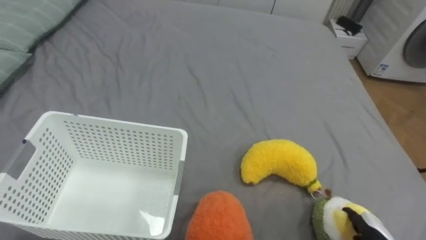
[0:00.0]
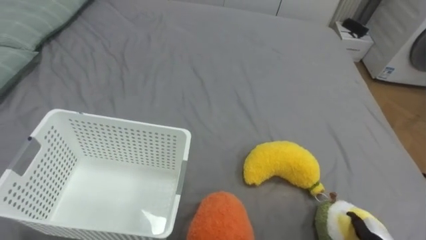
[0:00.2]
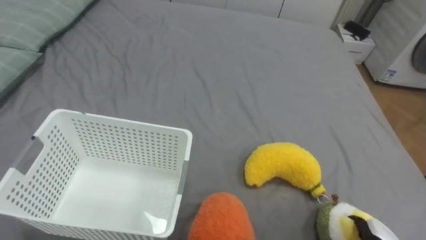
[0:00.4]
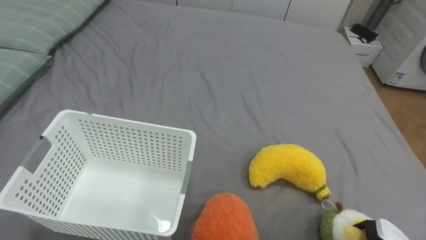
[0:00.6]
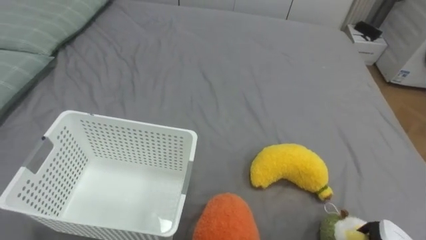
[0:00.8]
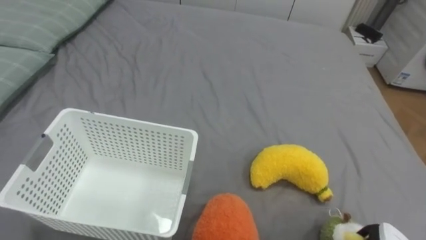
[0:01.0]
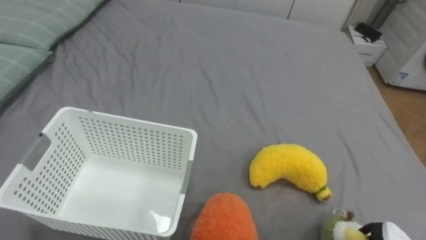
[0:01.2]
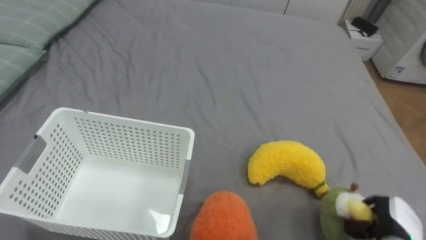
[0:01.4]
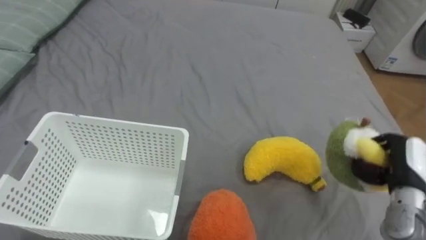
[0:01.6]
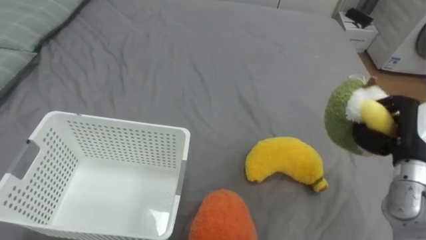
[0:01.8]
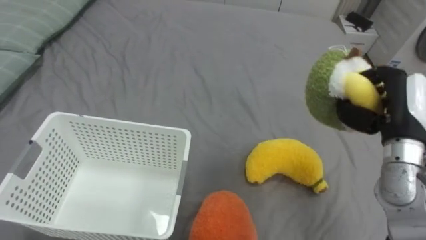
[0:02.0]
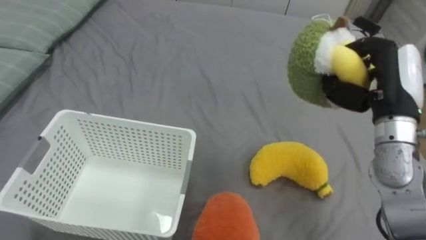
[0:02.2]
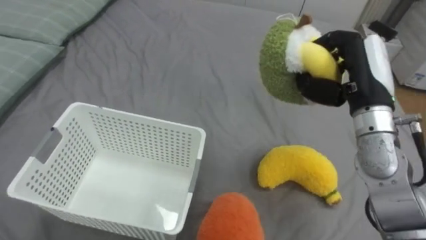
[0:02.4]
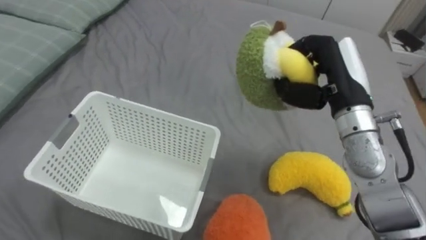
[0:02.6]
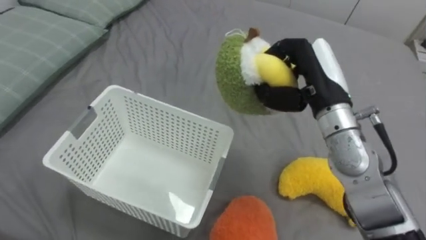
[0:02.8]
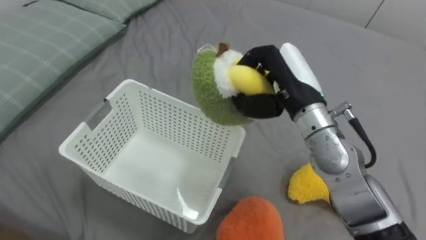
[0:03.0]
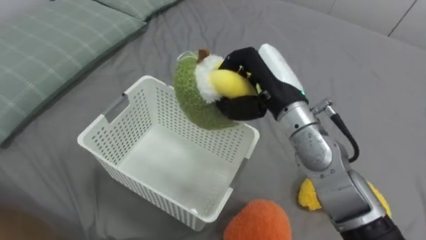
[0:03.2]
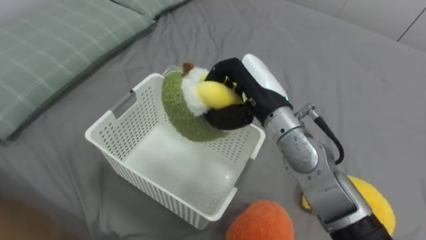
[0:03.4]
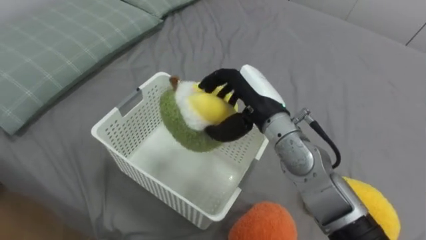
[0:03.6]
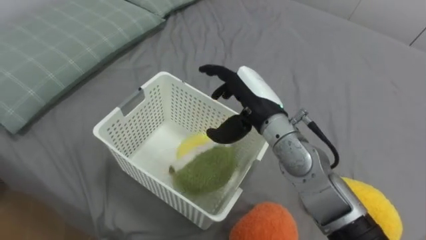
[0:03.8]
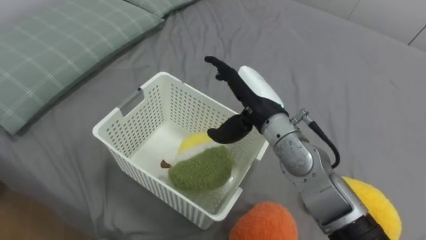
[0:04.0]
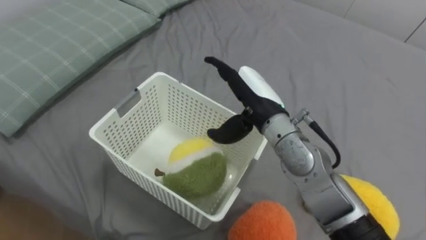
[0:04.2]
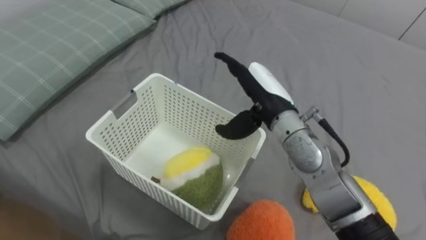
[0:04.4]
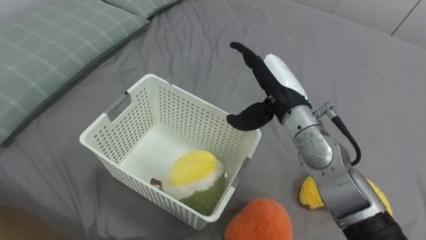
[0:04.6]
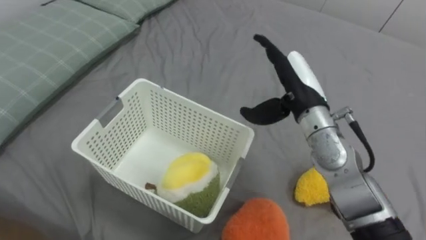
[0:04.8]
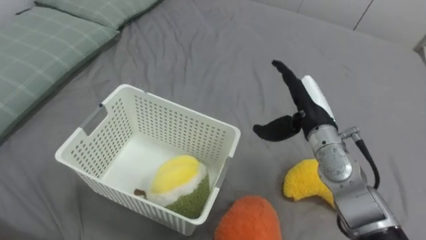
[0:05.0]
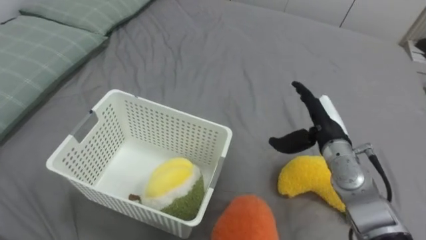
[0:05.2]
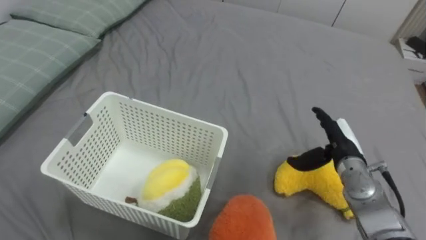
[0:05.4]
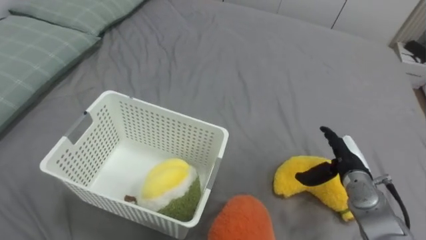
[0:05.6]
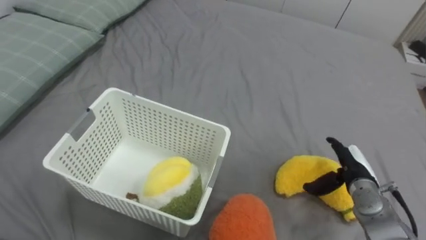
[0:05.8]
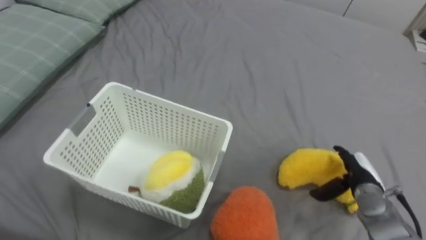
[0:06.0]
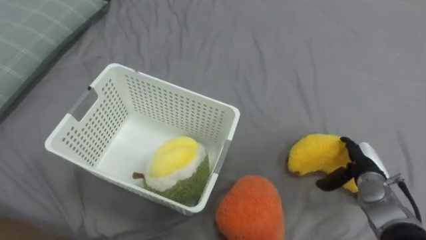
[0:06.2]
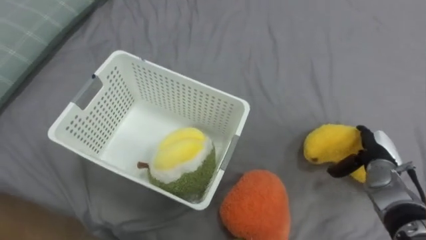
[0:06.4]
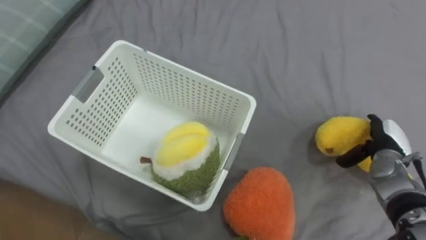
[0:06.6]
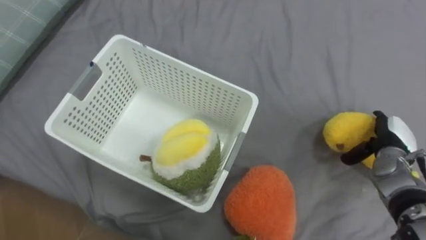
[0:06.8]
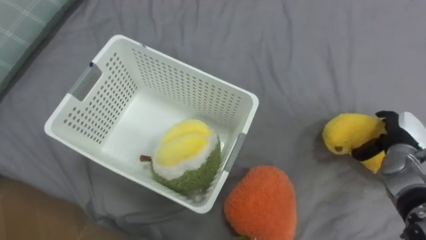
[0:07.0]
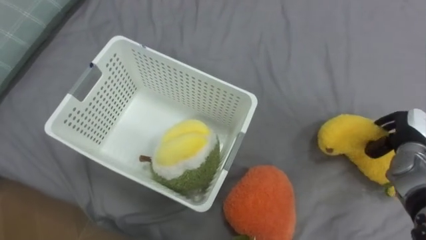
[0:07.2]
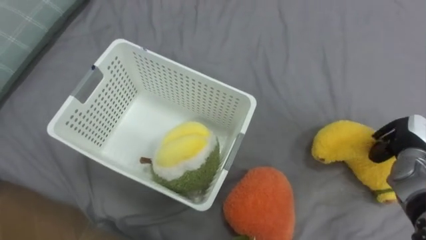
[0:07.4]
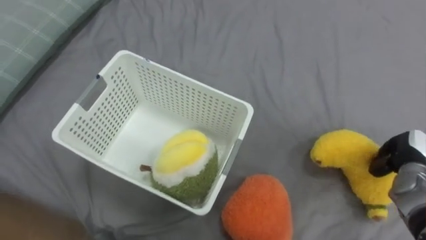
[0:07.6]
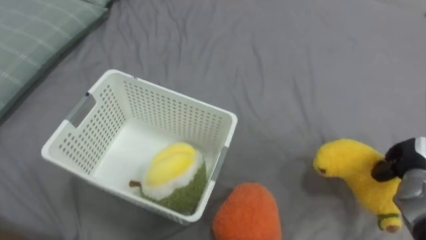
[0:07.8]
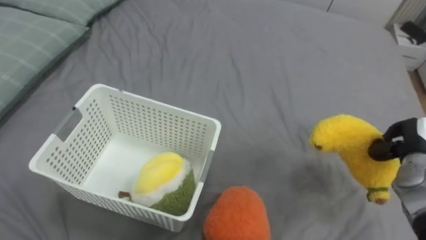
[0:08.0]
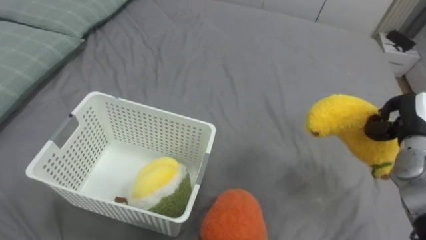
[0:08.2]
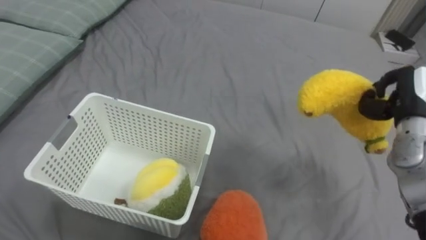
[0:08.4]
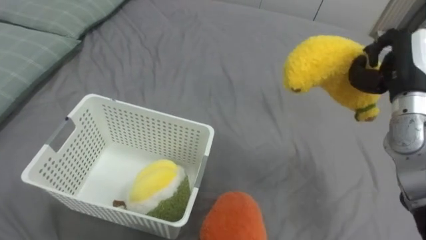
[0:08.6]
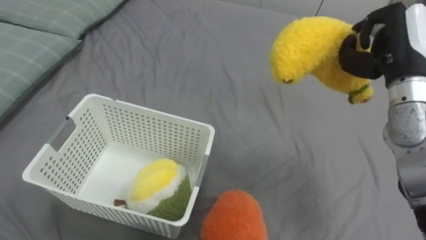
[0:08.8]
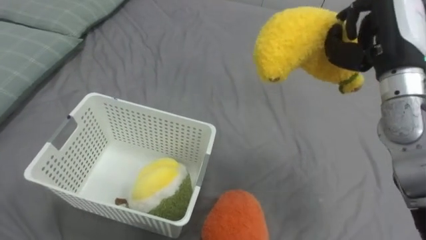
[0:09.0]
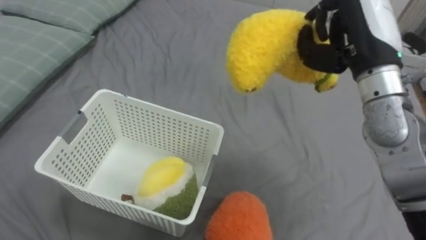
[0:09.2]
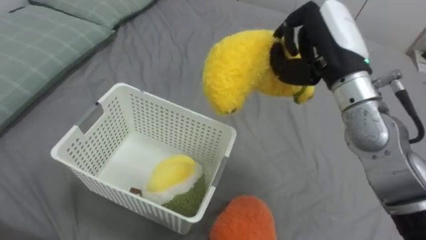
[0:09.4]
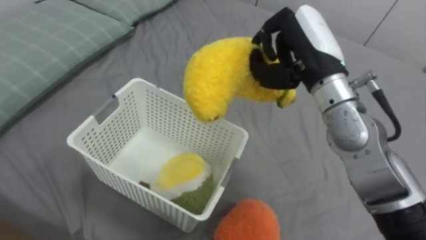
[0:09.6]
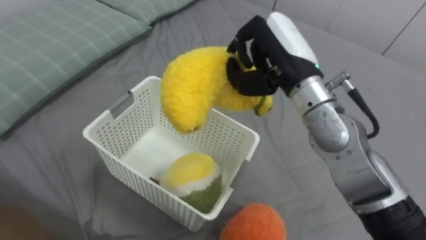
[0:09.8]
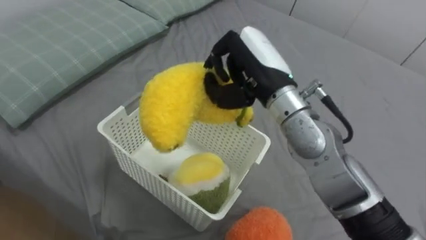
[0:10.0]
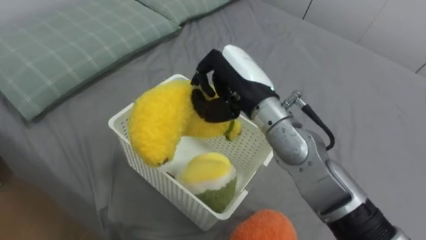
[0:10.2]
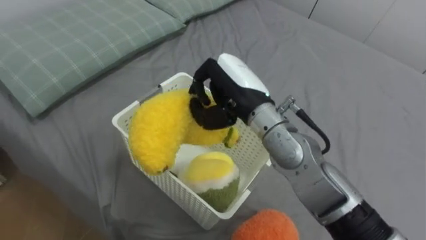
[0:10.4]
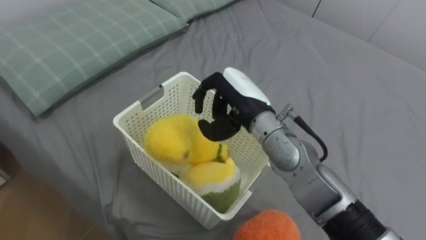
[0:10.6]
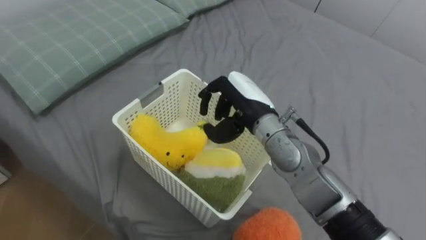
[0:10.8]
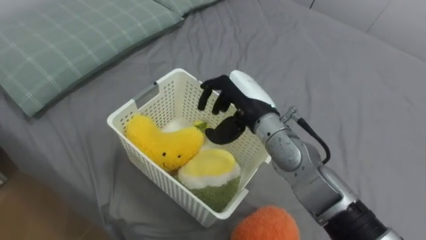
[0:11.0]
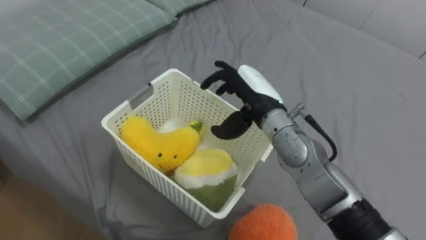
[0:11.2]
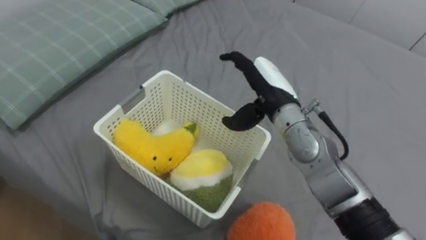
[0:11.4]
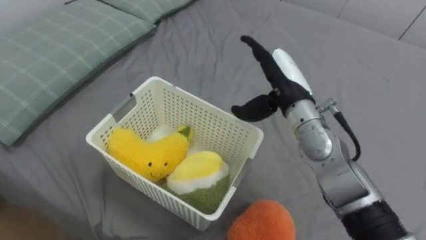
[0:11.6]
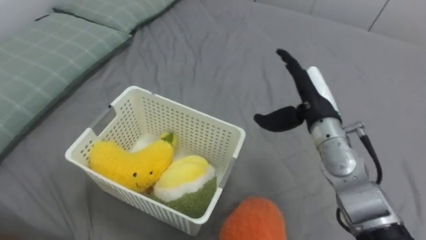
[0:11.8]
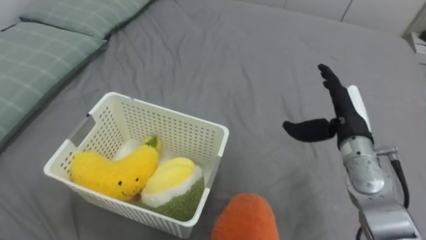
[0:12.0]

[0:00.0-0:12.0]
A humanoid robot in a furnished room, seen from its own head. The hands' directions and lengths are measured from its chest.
Task of the whole recording: Put the toys on the bed into the basket on the left.
0:01.6 to 0:03.0: The right hand moves to the left, upward and forward, roughly 30 cm.
0:03.0 to 0:04.4: The right hand shifts by about 5 cm, and opens.
0:04.4 to 0:06.0: The right hand travels to the right and downward by roughly 30 cm.
0:06.0 to 0:07.6: The right hand travels to the right and upward by roughly 10 cm, and closes up.
0:07.6 to 0:09.0: The right hand heads upward and to the left, covering about 25 cm.
0:09.0 to 0:10.4: The right hand heads to the left, covering about 20 cm.
0:10.4 to 0:12.0: The right hand goes roughly 20 cm to the right, and opens up.

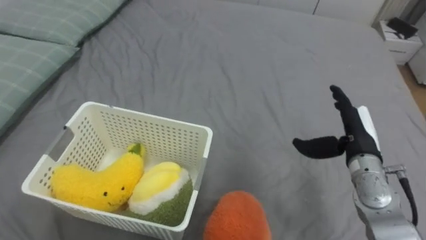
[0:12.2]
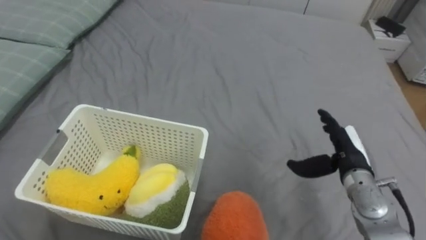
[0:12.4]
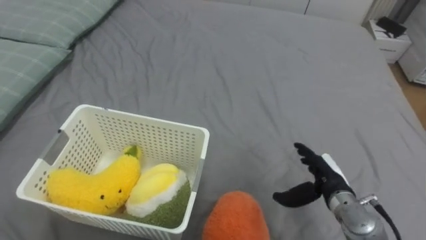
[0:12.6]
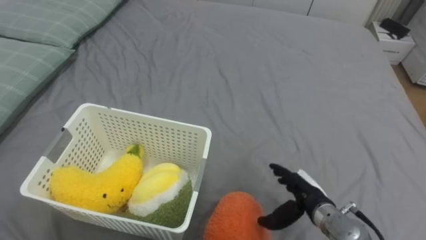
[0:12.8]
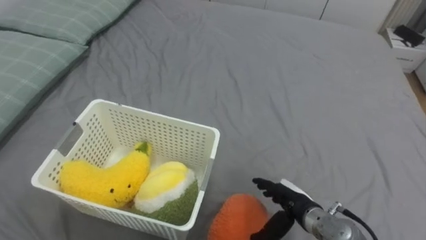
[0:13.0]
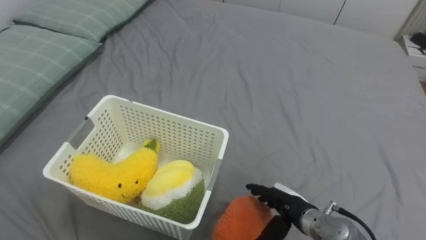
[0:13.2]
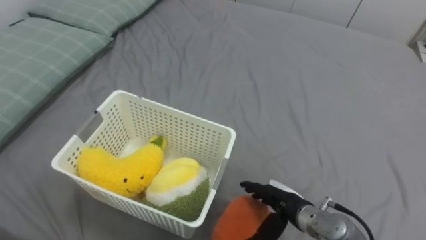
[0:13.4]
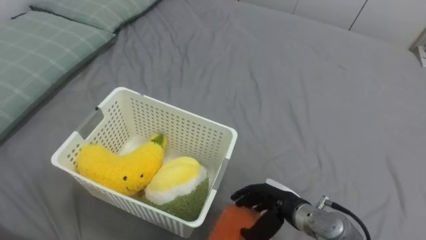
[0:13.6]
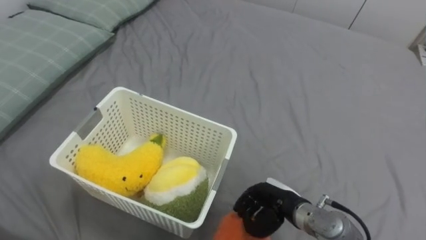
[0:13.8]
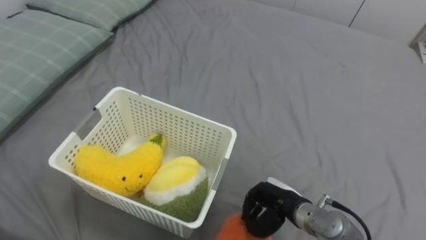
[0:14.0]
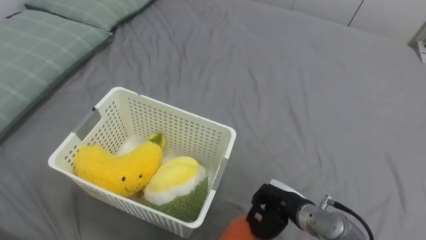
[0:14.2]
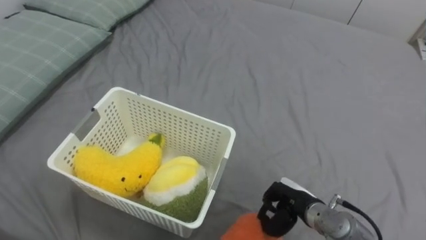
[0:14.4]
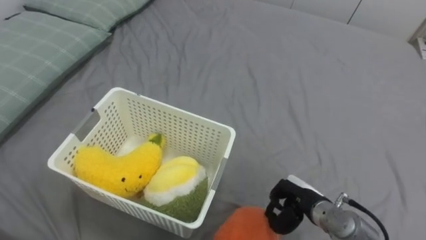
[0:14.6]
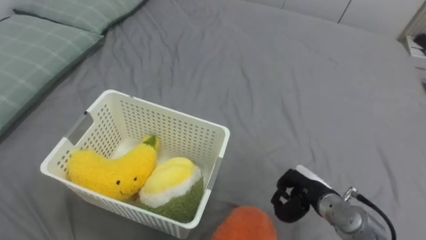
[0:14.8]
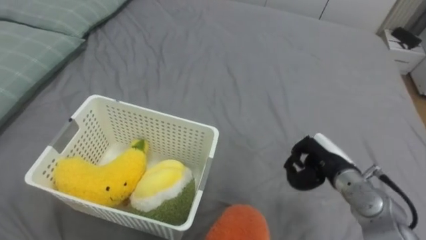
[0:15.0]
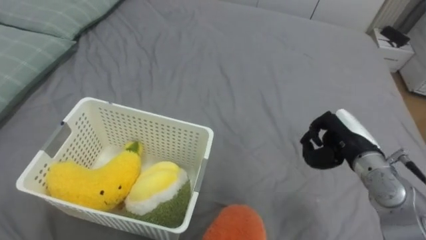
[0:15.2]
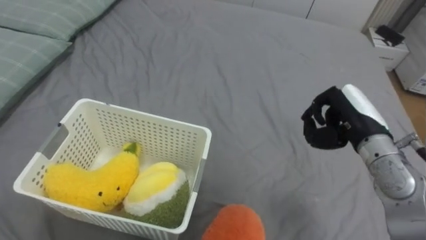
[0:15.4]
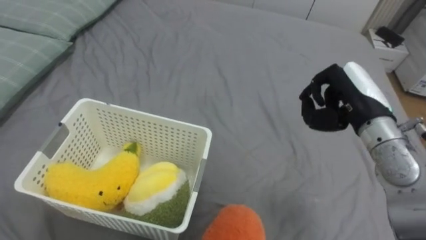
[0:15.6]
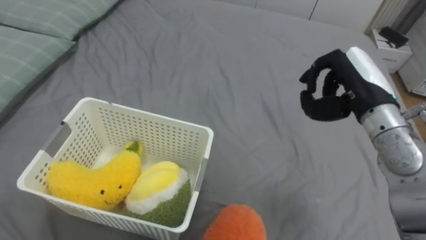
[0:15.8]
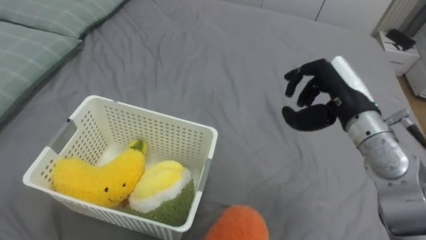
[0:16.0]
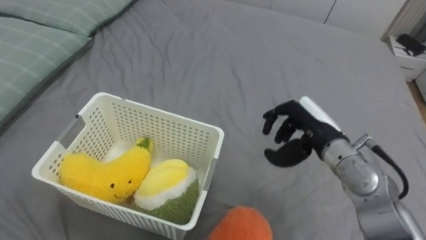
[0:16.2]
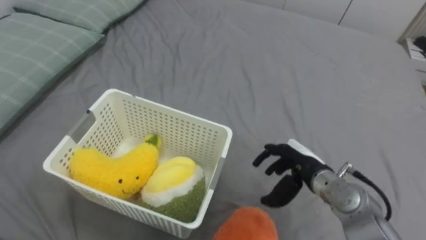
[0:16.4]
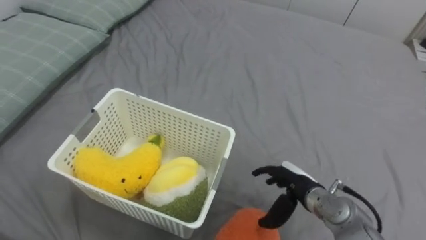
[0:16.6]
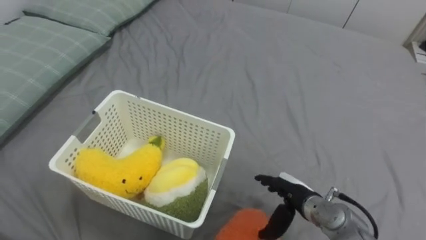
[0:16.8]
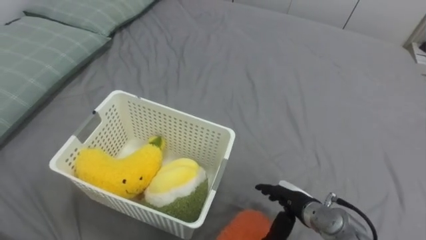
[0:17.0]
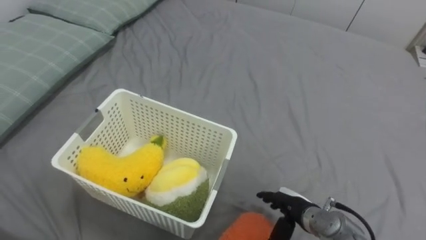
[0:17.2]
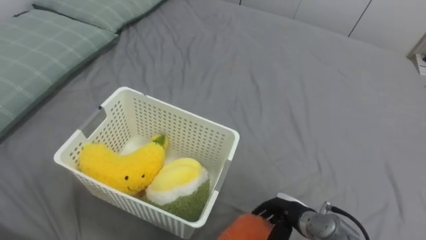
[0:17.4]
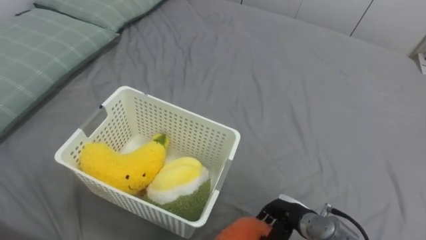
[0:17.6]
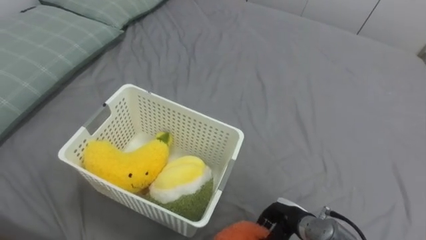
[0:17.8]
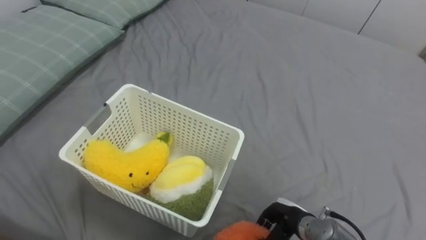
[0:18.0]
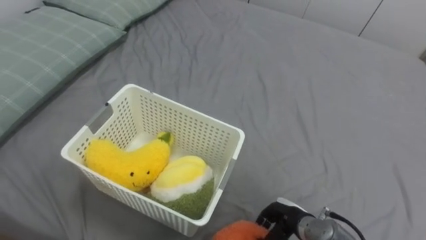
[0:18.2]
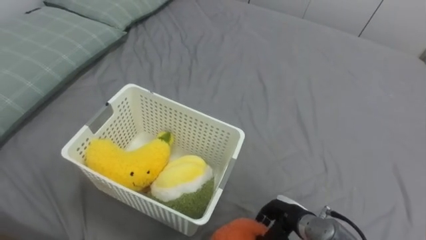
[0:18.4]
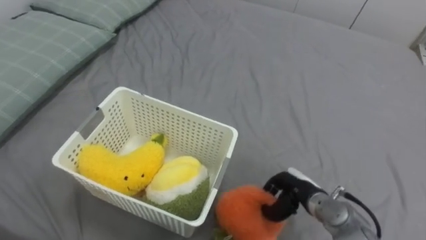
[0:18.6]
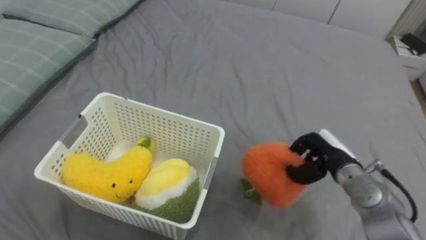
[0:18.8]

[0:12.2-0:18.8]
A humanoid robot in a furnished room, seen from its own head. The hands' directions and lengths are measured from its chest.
Task of the whole recording: Put the toys on the bed into the basket on the left.
0:12.2 to 0:13.8: The right hand shifts some 20 cm downward, to the left and backward, and closes.
0:13.8 to 0:15.4: The right hand goes about 20 cm upward, to the right and forward, and closes up.
0:15.4 to 0:17.2: The right hand shifts about 20 cm downward and backward, and opens up.
0:17.2 to 0:18.8: The right hand goes about 10 cm upward, forward and to the right, and closes up.
